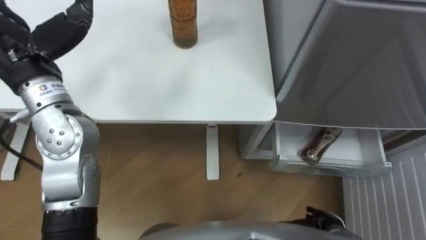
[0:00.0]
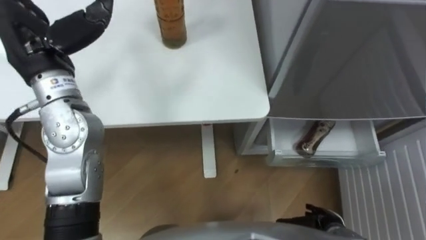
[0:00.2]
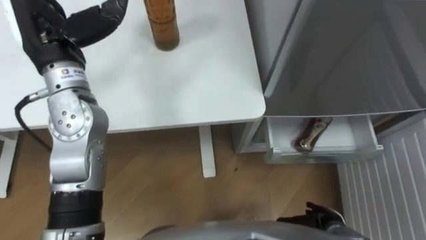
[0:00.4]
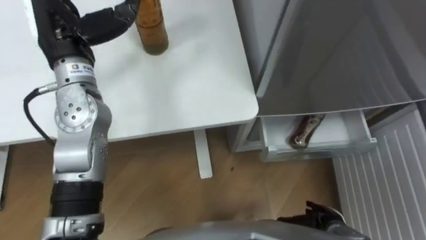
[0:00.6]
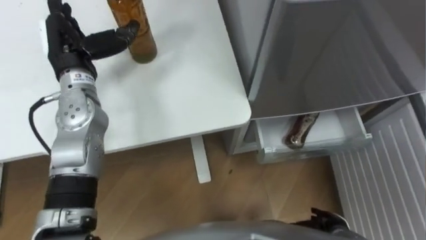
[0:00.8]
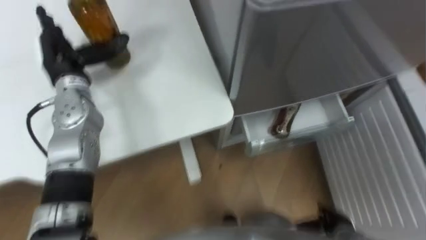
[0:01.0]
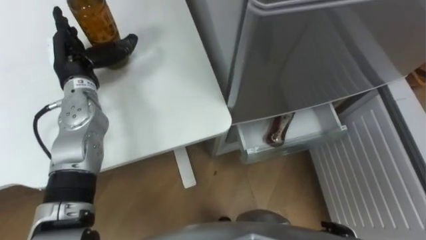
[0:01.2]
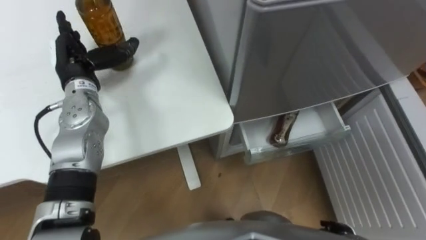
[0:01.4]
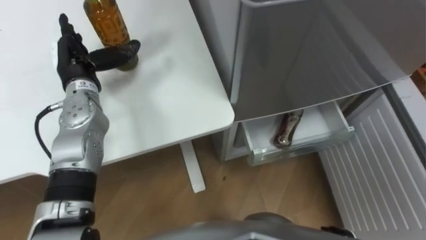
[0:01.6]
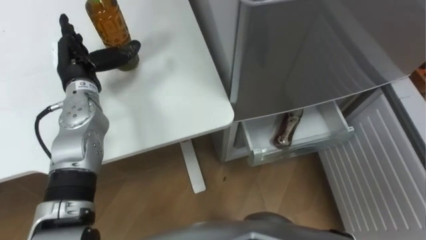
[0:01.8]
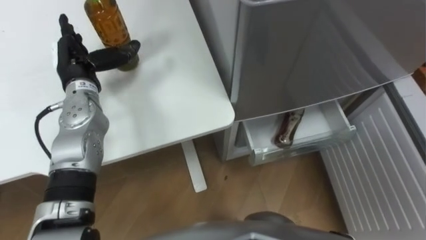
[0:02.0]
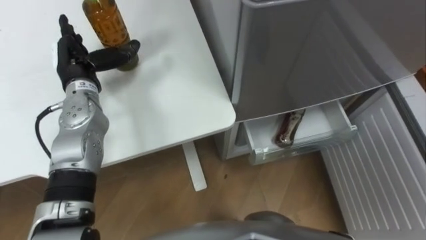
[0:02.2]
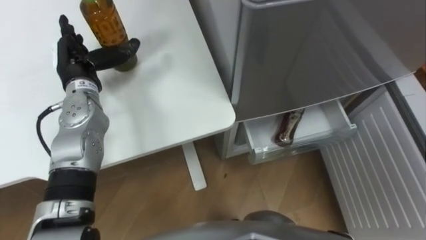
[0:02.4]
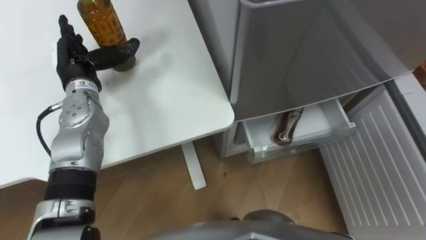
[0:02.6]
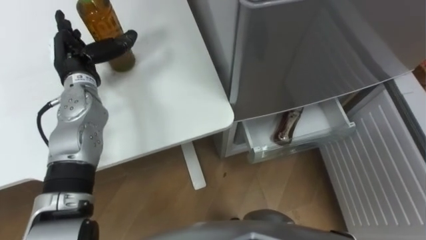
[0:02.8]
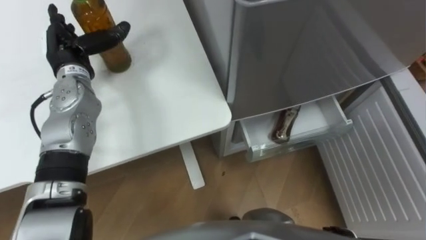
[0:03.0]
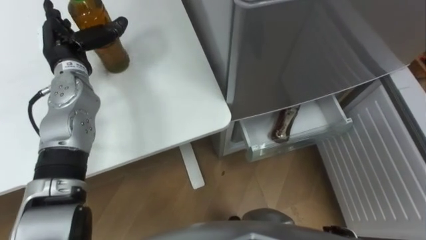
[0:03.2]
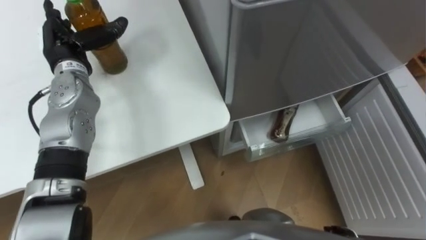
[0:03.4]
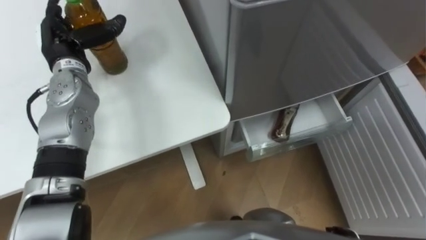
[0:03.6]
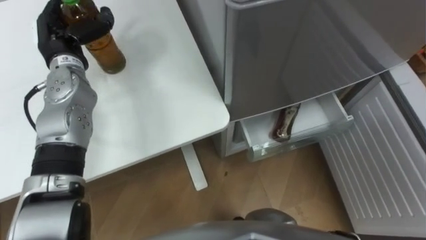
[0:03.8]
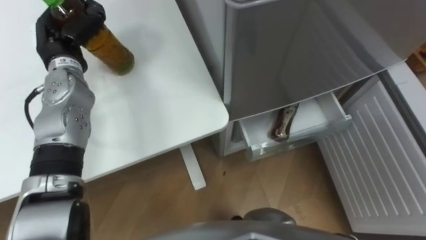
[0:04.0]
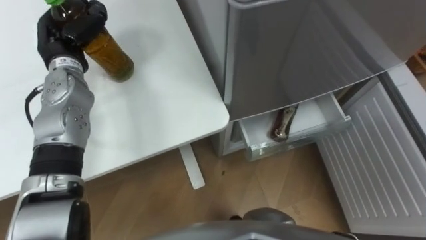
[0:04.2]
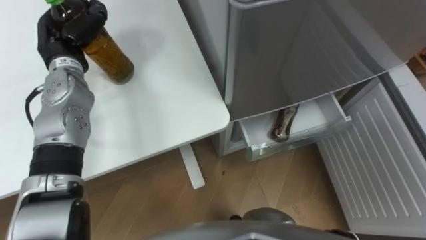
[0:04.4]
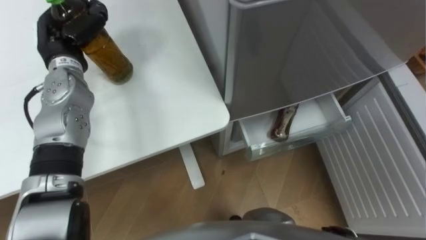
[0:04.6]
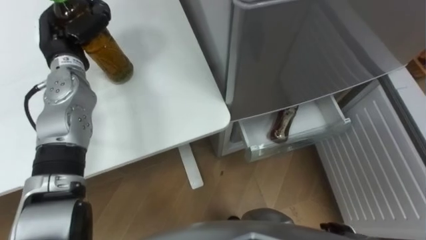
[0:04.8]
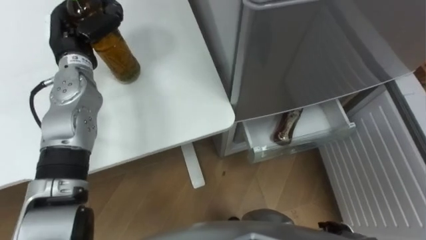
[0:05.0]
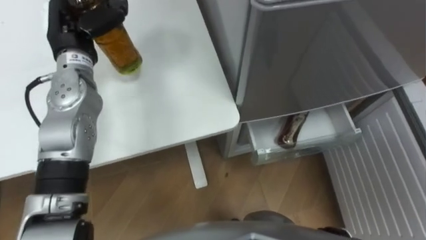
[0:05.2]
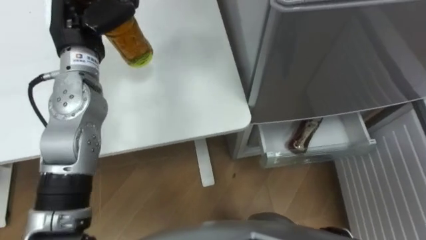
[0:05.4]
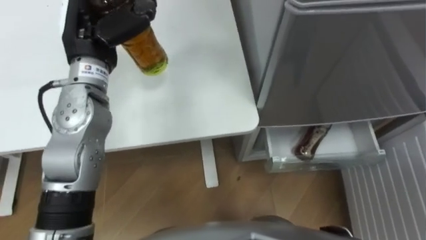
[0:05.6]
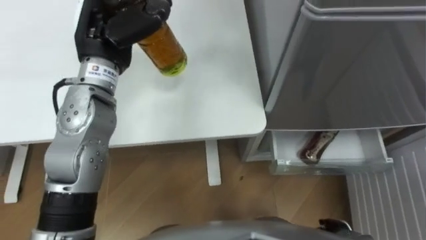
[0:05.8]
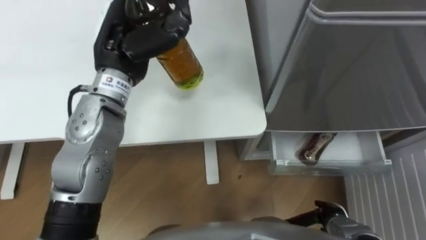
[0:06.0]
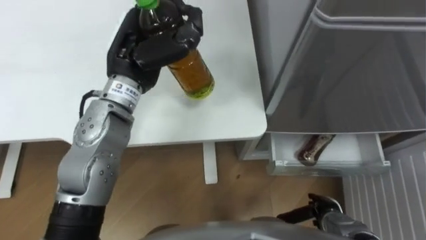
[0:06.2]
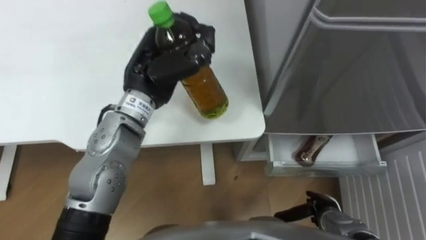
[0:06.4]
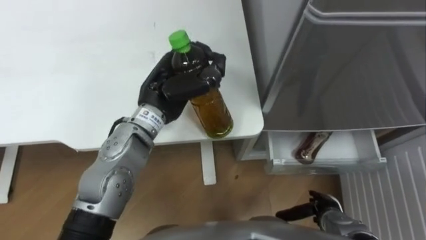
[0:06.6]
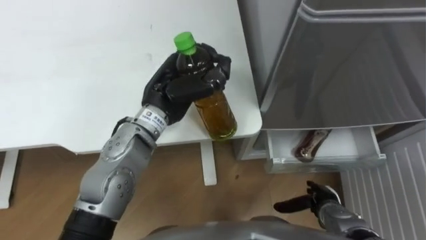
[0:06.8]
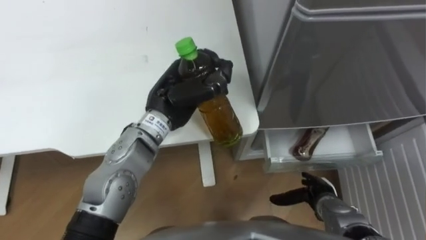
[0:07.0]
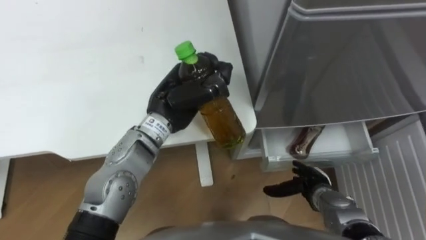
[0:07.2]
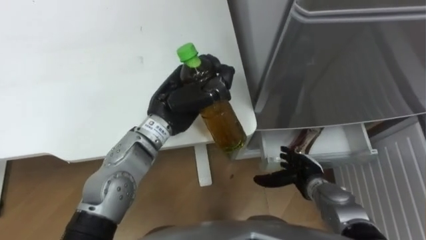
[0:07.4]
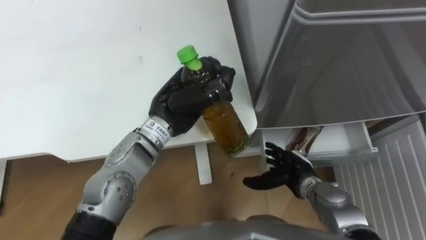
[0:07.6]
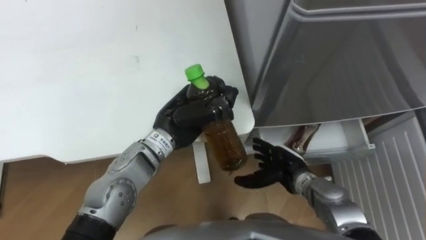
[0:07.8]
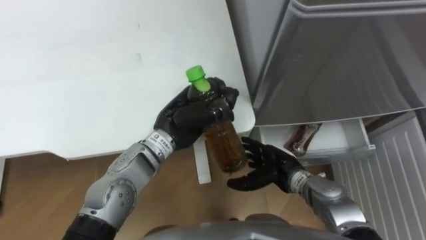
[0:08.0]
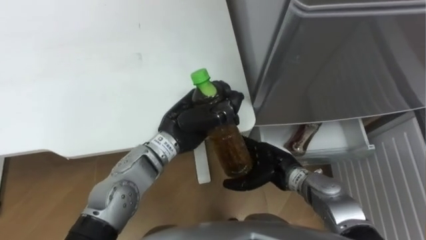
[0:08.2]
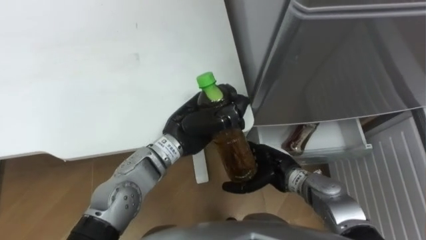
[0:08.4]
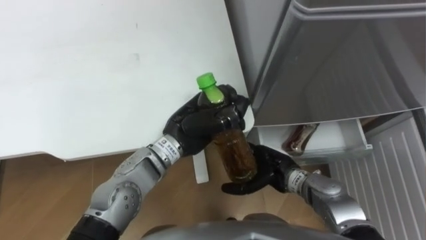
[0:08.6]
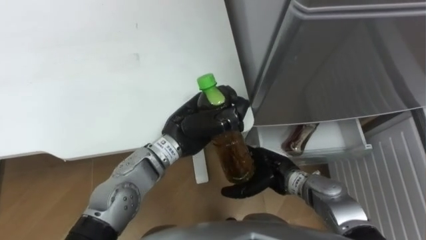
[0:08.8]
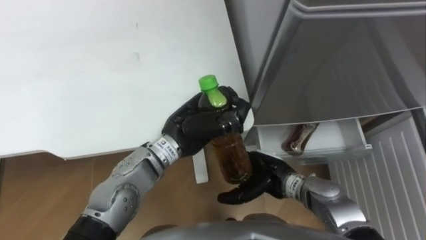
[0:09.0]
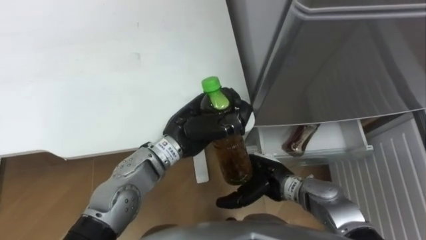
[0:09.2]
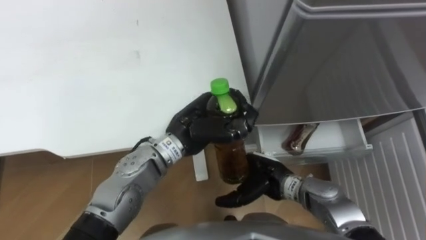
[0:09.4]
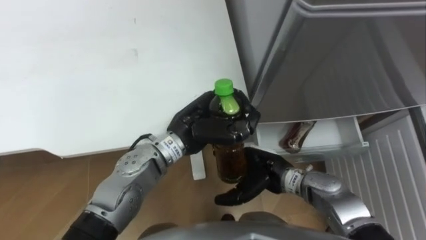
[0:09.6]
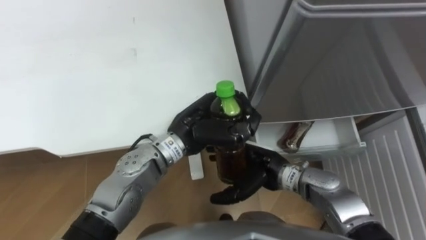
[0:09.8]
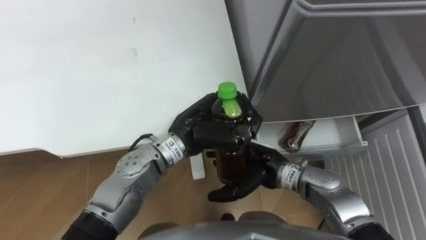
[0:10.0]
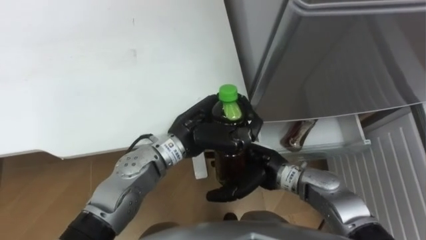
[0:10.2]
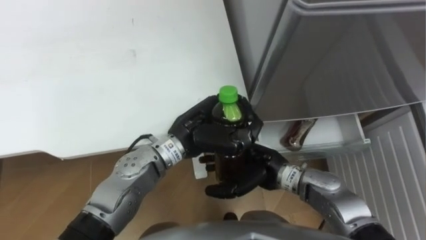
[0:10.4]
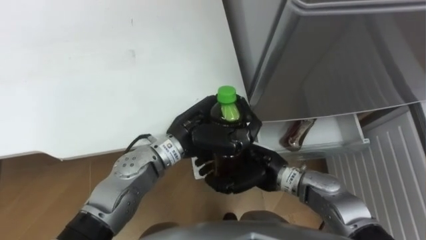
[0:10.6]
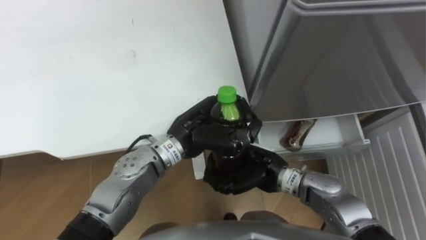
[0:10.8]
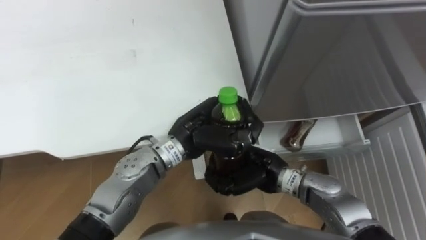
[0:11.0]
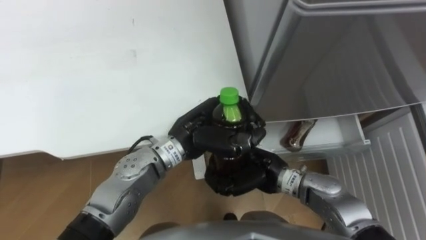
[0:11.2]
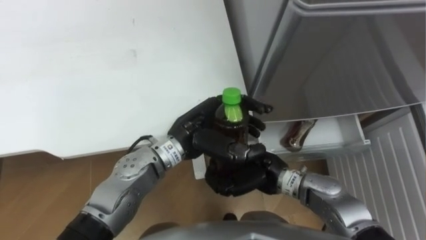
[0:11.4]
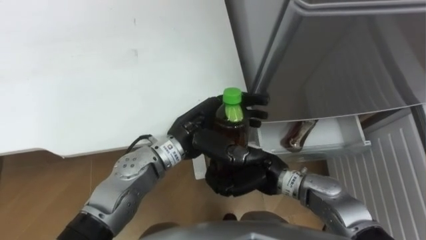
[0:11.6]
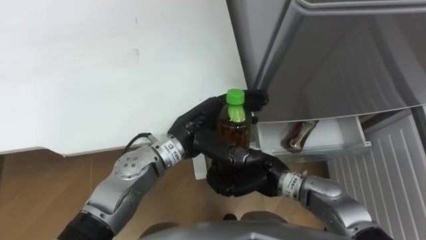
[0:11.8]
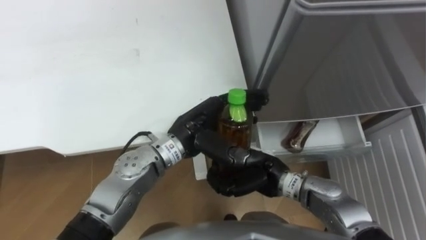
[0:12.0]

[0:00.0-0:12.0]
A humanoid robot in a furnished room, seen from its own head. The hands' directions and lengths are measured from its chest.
Task of the whole recording: Place the drink on the table on the bottom shelf of the refrigerator, then close the drawer and the refrigerator door.
0:00.0 to 0:01.6: The left hand goes approximately 15 cm downward and forward.
0:03.0 to 0:04.4: The left hand closes up.
0:04.4 to 0:06.0: The left hand shifts about 15 cm to the right, upward and backward.
0:06.0 to 0:07.6: The right hand shifts about 15 cm forward, to the left and upward. The left hand moves downward and to the right, roughly 10 cm.
0:07.6 to 0:09.0: The right hand travels to the left by some 5 cm.
0:09.0 to 0:10.4: The right hand moves roughly 5 cm.
0:10.4 to 0:12.0: The left hand opens its fingers; the right hand closes up.

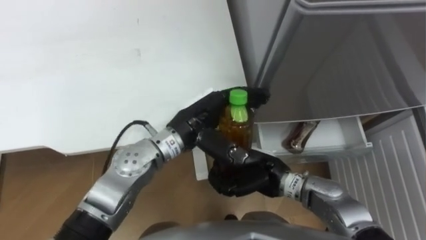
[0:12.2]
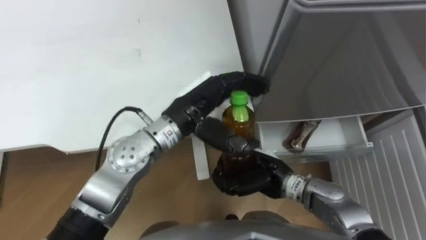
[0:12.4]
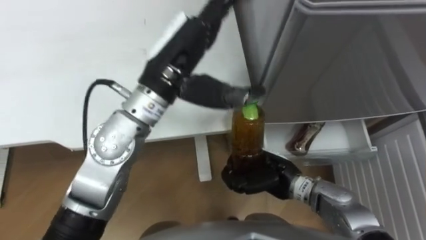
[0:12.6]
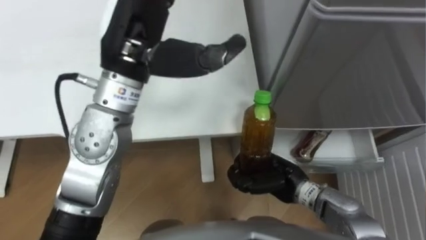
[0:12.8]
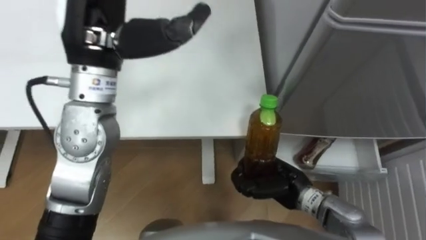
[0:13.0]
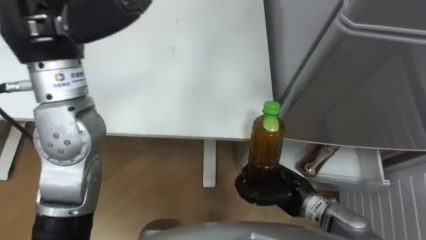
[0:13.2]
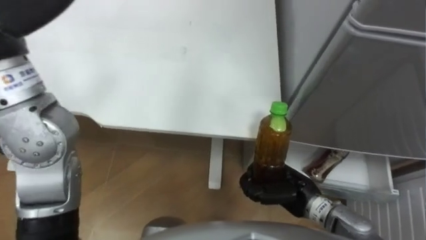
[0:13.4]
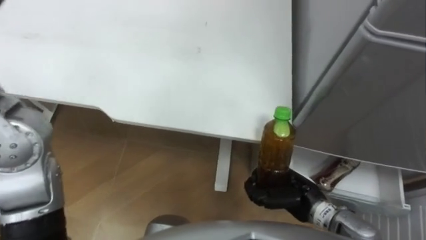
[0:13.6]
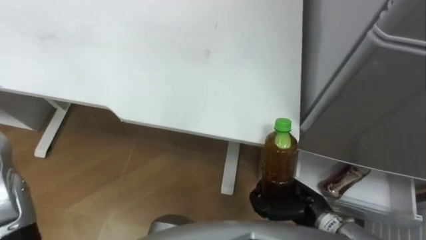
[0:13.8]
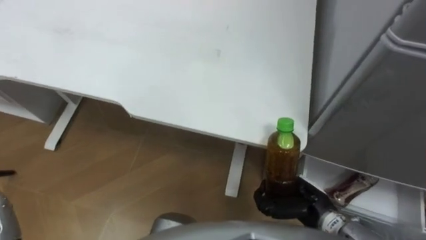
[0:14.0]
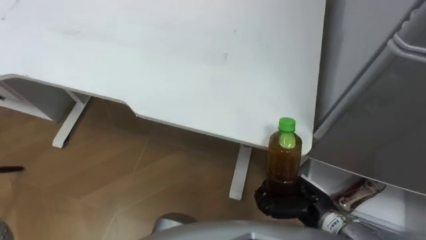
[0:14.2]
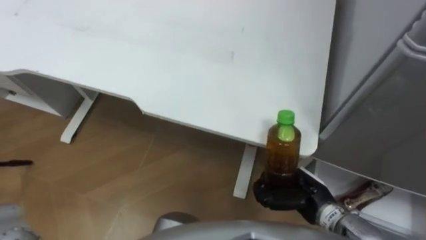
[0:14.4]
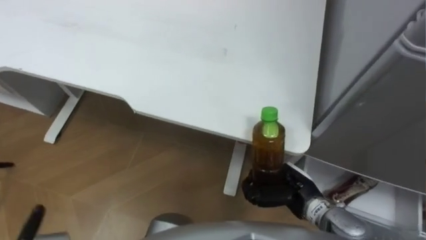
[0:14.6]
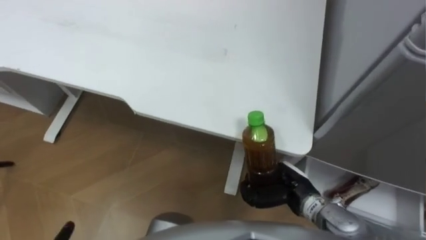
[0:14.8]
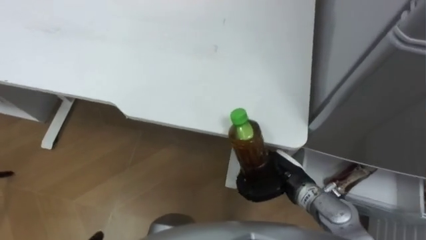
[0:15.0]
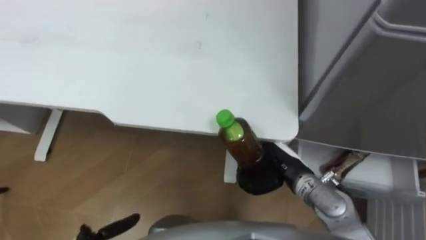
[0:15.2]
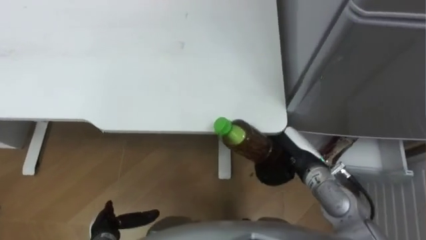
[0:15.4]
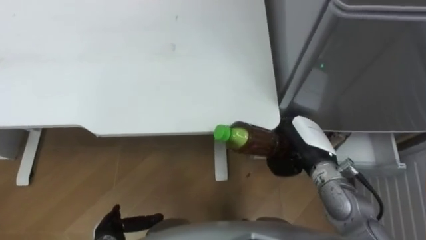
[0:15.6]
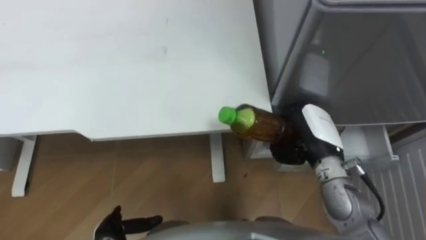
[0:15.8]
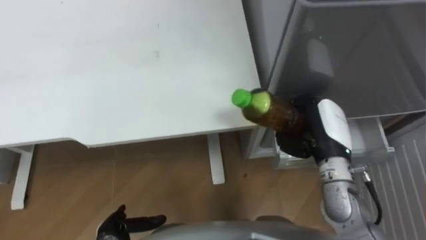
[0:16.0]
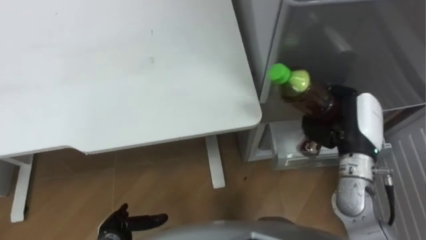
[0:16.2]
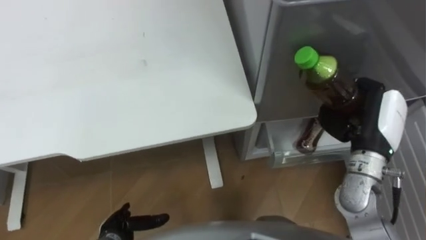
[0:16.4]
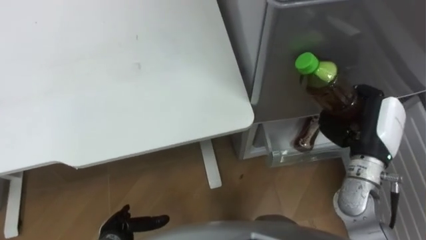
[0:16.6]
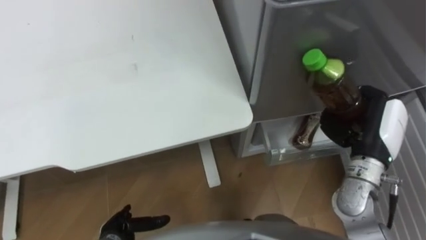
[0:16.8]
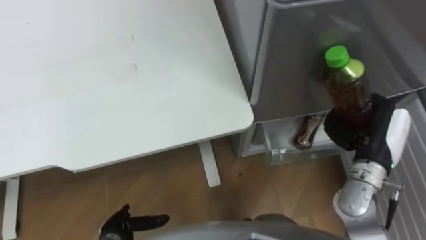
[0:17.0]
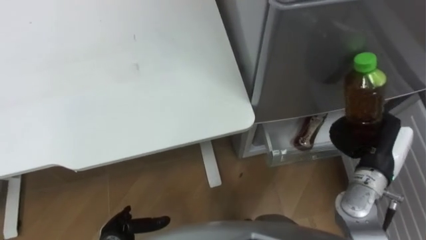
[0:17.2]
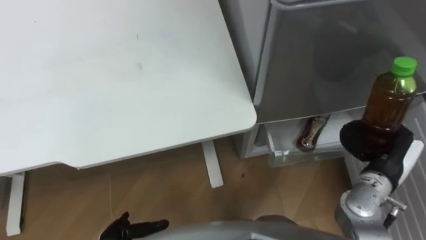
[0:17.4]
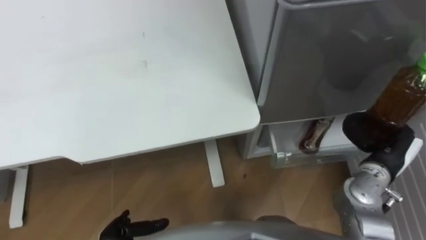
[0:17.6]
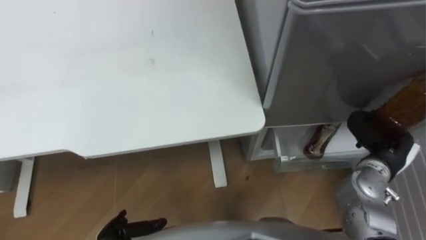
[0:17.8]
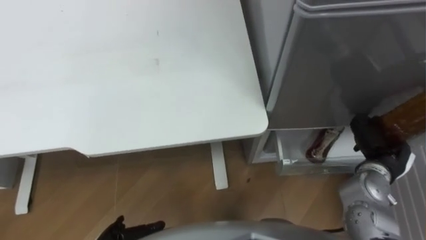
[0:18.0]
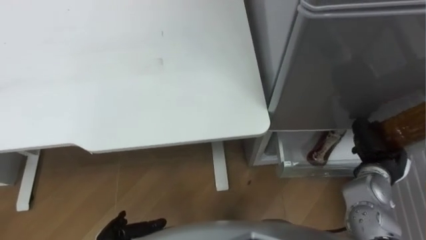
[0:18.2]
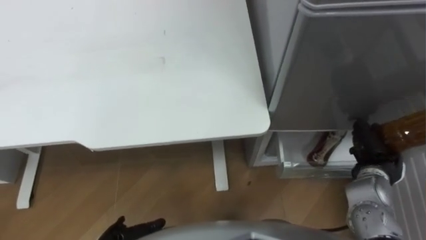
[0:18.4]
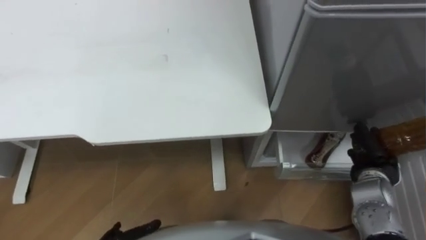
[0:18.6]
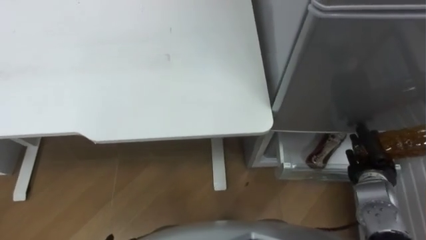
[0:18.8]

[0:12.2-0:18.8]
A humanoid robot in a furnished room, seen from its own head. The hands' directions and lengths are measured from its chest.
Task of the whole recording: Place the drink on the table on the bottom shelf of the refrigerator, then close the drawer and the refrigerator door.
0:12.2 to 0:13.8: The right hand heads to the right and backward, covering some 10 cm.
0:13.8 to 0:15.4: The right hand is displaced forward and upward by roughly 10 cm.
0:15.4 to 0:17.2: The right hand moves to the right, approximately 15 cm.
0:17.2 to 0:18.8: The right hand travels downward by about 10 cm.
